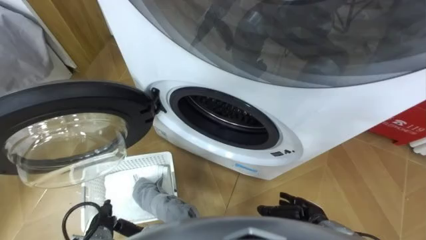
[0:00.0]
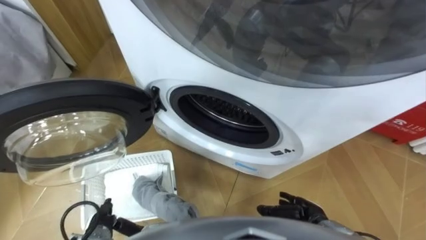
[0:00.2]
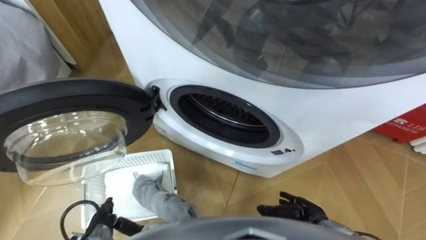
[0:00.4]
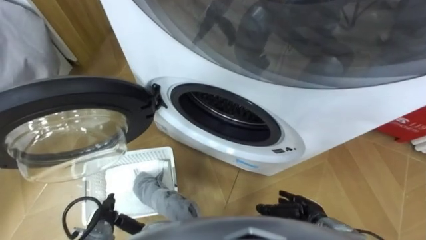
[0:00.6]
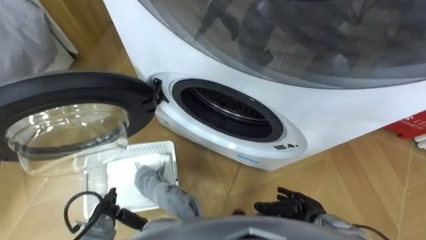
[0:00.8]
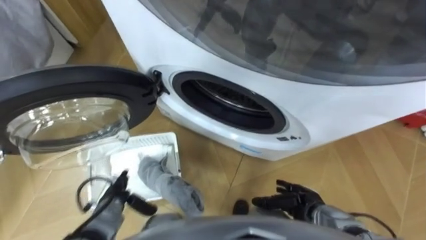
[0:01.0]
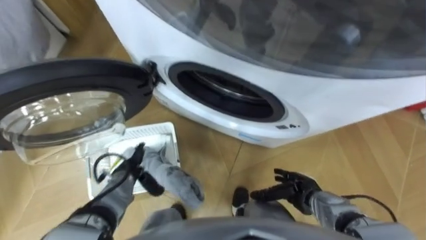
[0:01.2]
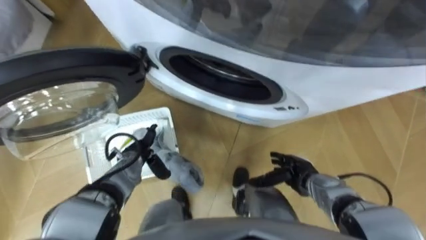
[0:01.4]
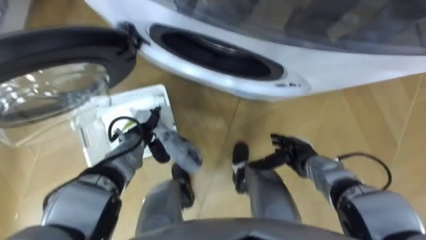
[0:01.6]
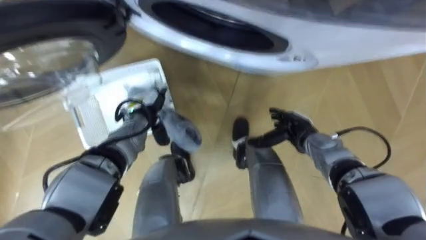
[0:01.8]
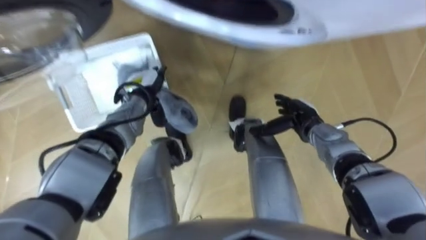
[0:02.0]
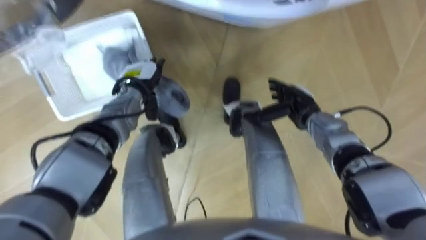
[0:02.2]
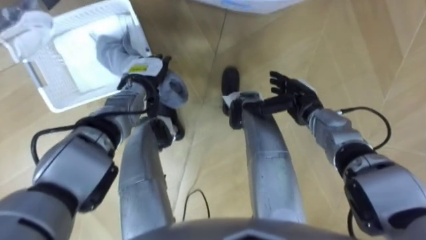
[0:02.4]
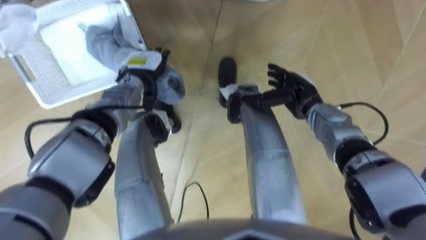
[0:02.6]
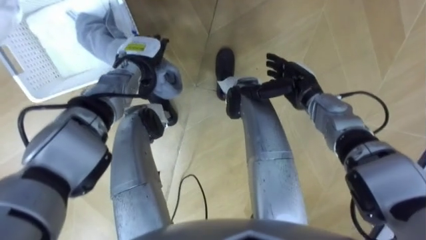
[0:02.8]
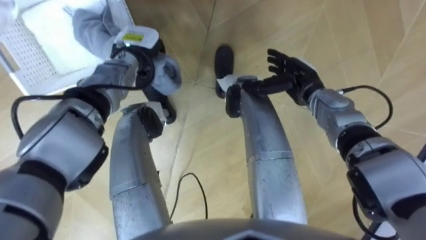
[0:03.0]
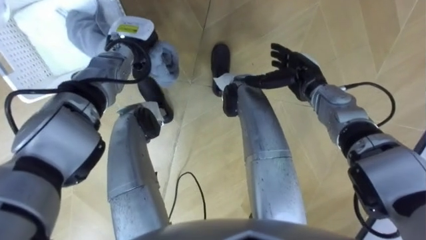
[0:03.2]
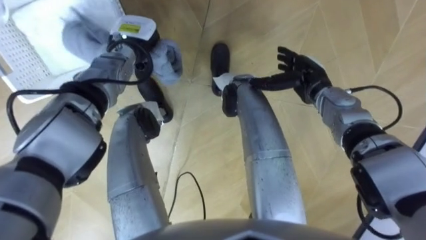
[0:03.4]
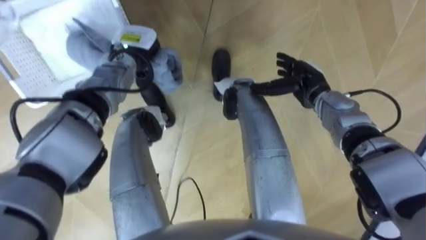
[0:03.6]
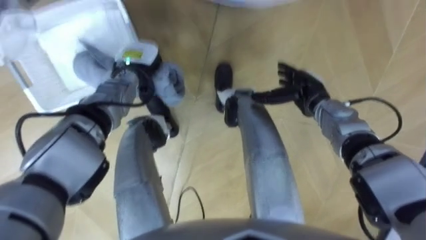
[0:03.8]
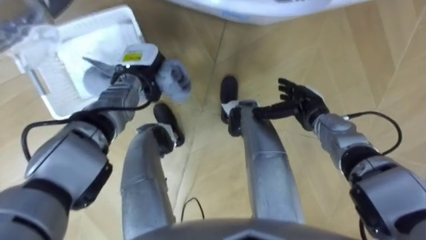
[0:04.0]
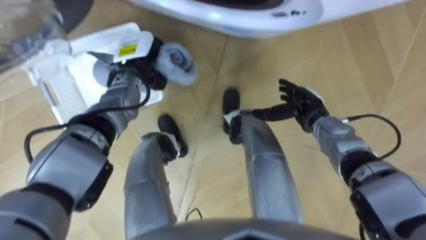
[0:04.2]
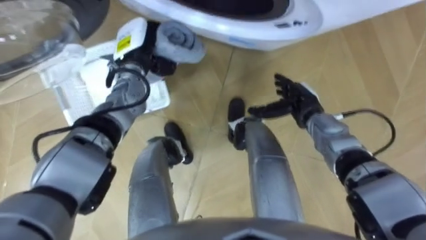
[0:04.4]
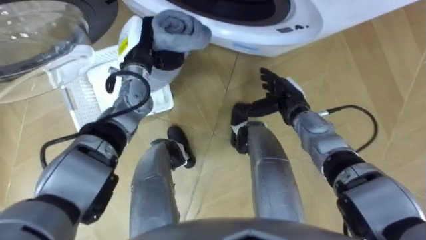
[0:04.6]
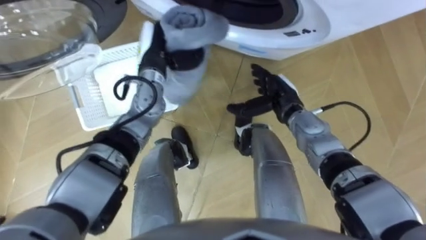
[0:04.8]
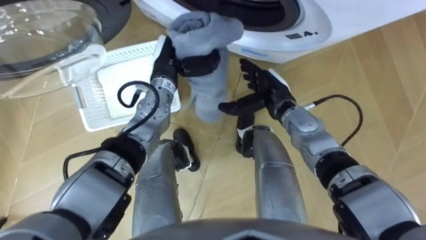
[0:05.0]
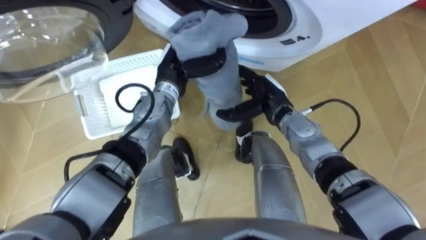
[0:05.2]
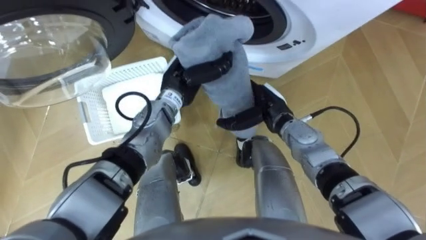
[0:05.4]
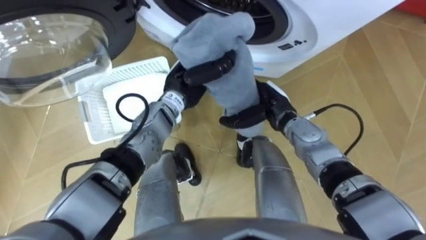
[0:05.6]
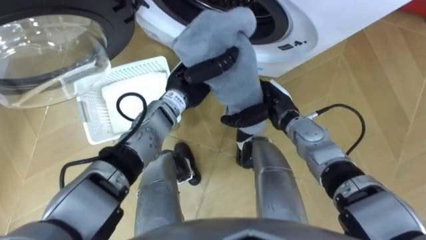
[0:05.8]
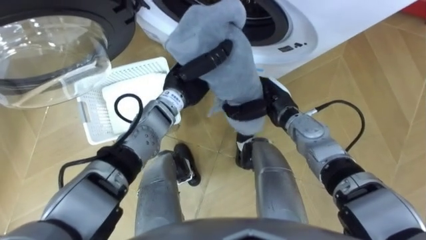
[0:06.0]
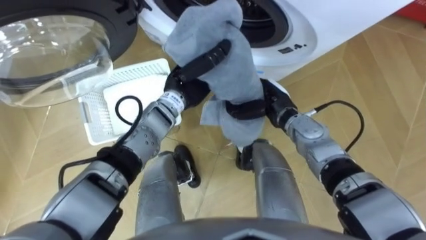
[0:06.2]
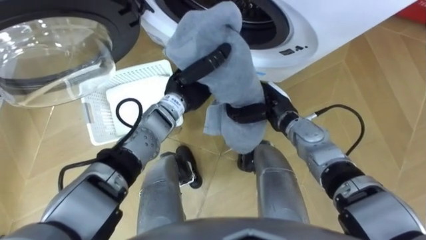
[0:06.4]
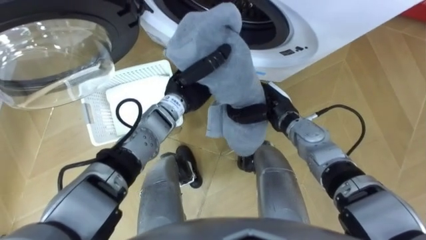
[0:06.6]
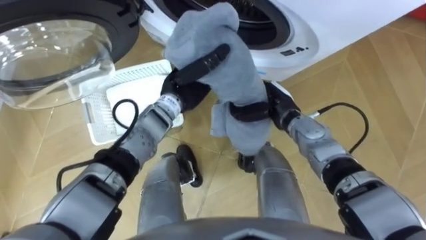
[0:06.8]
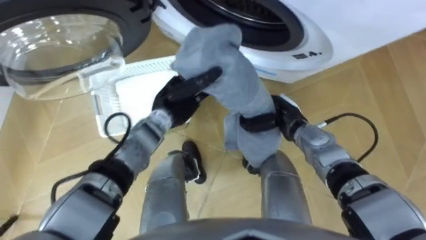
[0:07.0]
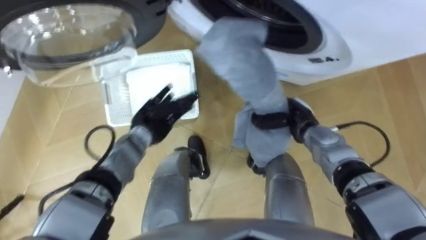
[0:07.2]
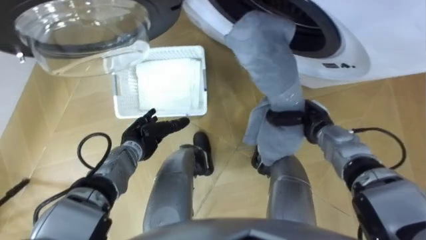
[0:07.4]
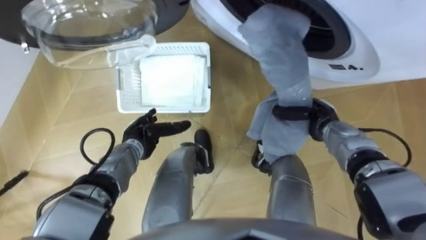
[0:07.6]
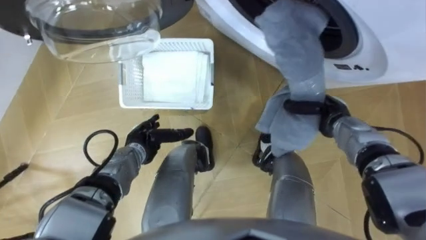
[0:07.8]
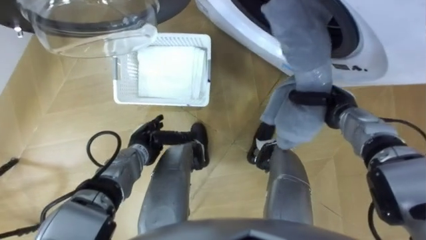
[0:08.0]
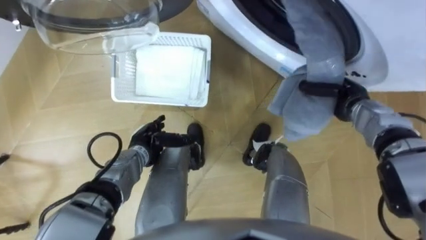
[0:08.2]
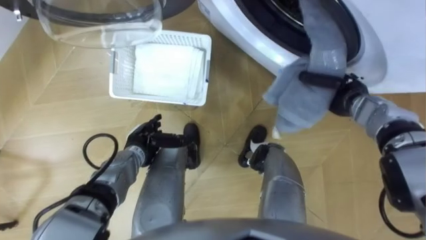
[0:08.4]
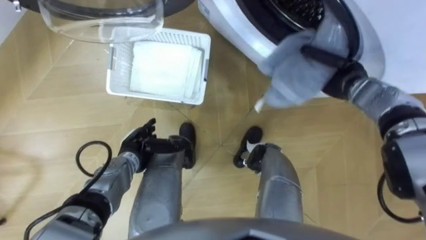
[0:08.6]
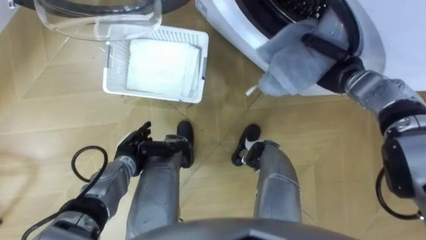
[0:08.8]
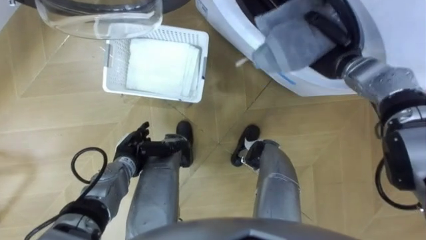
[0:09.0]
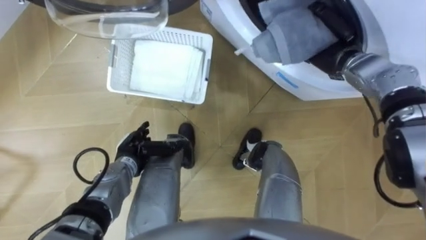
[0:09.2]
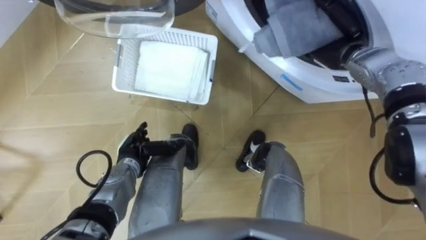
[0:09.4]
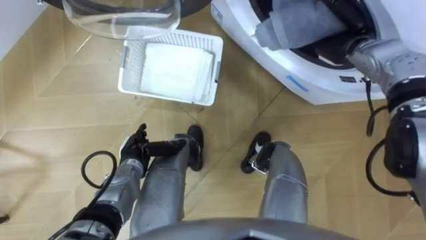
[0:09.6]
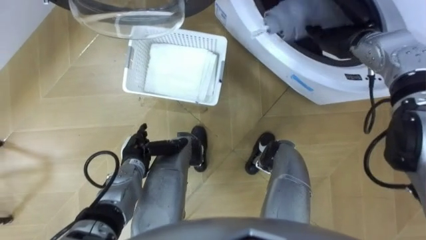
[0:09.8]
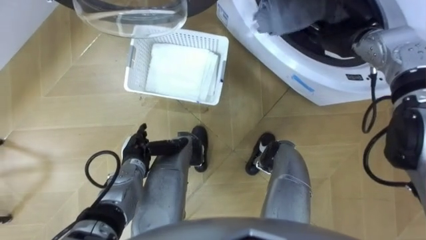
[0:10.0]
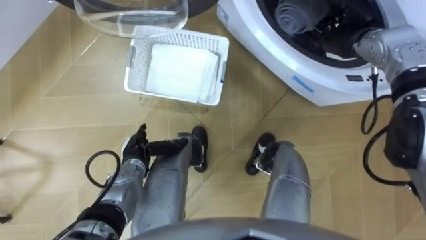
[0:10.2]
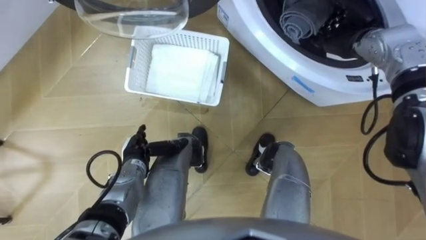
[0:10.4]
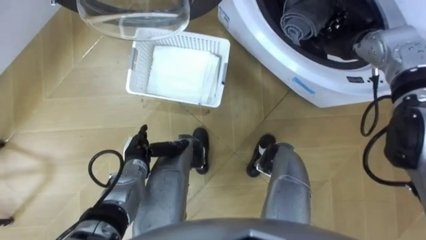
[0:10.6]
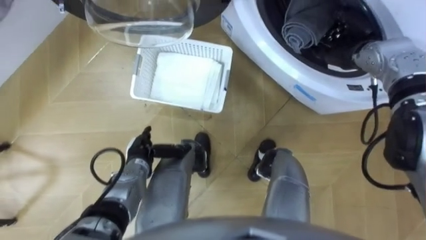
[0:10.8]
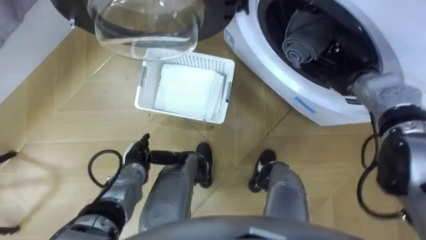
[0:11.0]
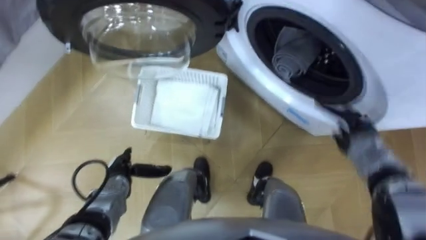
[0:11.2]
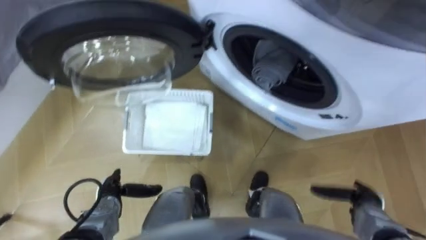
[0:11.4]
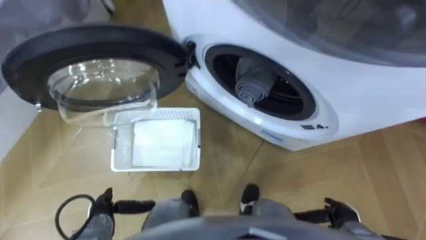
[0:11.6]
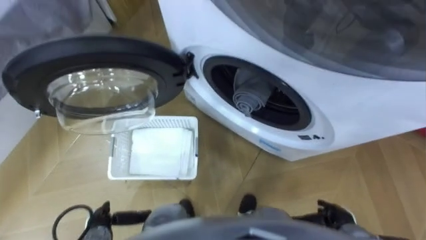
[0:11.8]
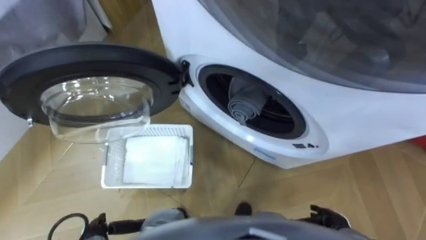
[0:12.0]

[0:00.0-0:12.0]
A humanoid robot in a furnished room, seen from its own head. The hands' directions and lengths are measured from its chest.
Task of the whole recording: Take the towel from the basket and put it into the washing machine.
0:01.6 to 0:03.0: Both hands move forward and upward, about 20 cm.
0:03.0 to 0:04.4: The right hand shifts by about 5 cm.
0:04.4 to 0:06.0: The right hand is displaced to the left by roughly 5 cm. The left hand goes approximately 10 cm to the right and backward.
0:06.0 to 0:07.6: The left hand heads downward, to the left and backward, covering about 20 cm, and opens up; the right hand heads to the right, covering roughly 10 cm.
0:07.6 to 0:09.0: The right hand moves upward and forward, roughly 15 cm.
0:09.0 to 0:10.4: The right hand opens its fingers.
0:10.4 to 0:12.0: The left hand is displaced backward and to the left by about 20 cm. Meanwhile the right hand moves backward and downward, approximately 40 cm.

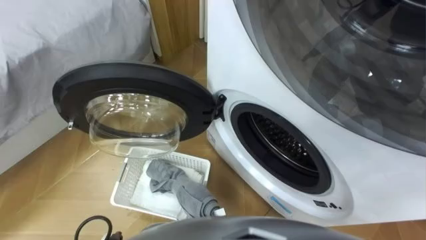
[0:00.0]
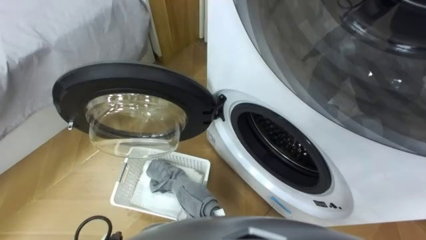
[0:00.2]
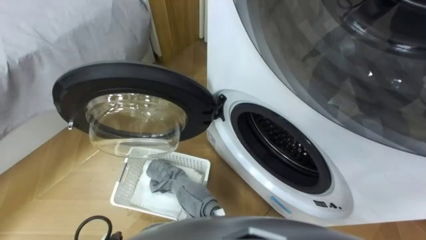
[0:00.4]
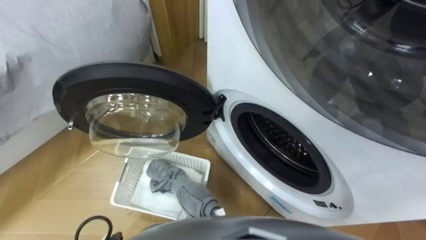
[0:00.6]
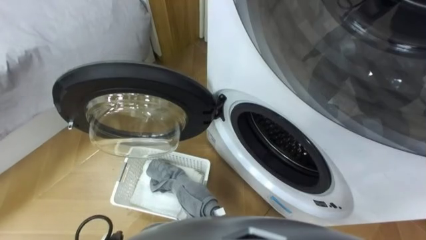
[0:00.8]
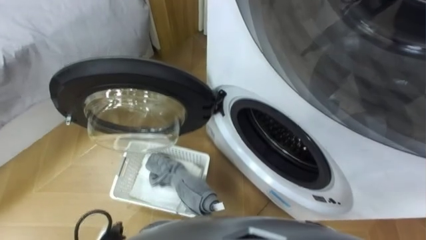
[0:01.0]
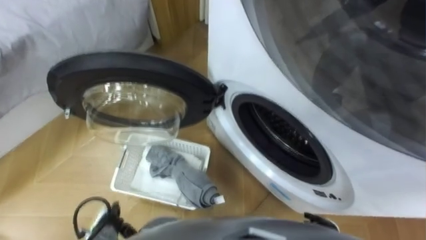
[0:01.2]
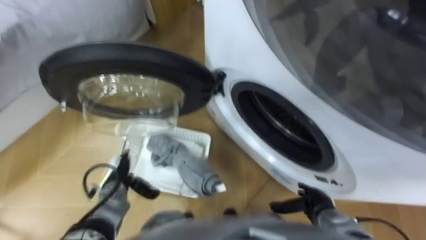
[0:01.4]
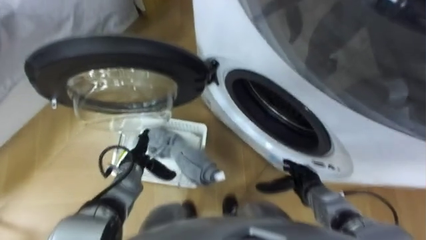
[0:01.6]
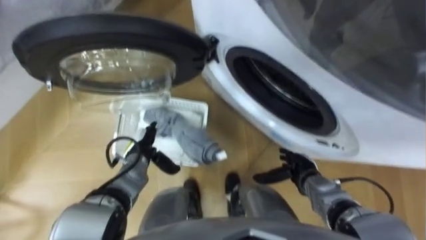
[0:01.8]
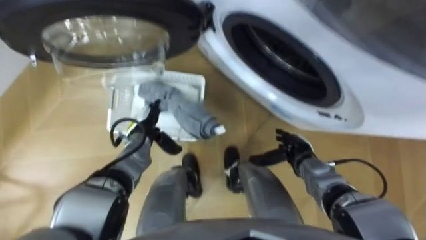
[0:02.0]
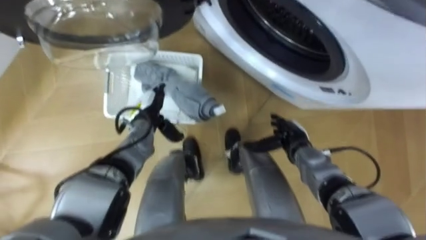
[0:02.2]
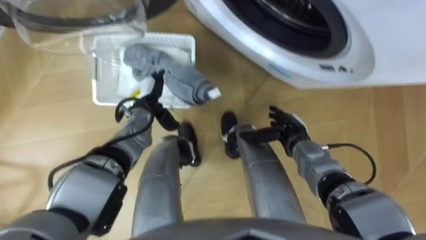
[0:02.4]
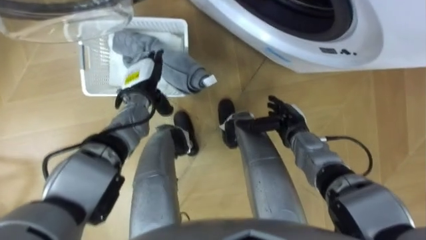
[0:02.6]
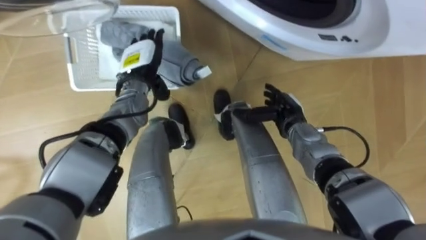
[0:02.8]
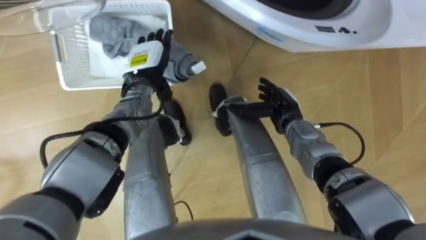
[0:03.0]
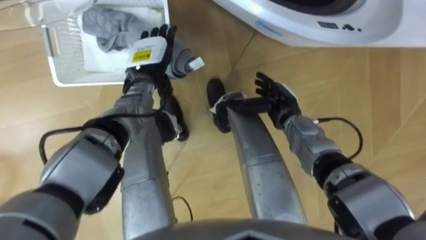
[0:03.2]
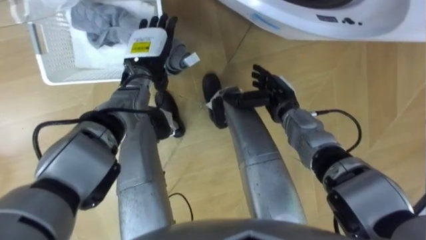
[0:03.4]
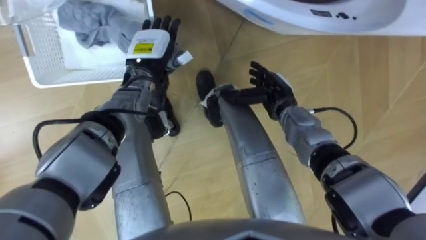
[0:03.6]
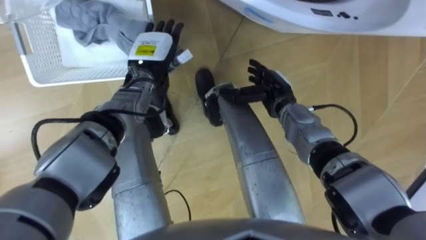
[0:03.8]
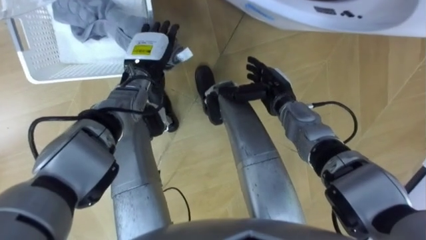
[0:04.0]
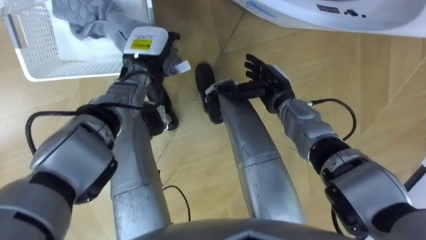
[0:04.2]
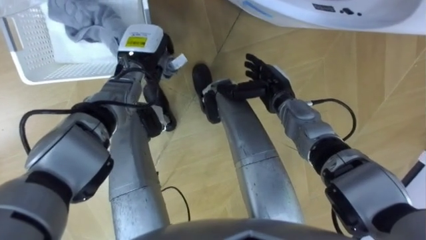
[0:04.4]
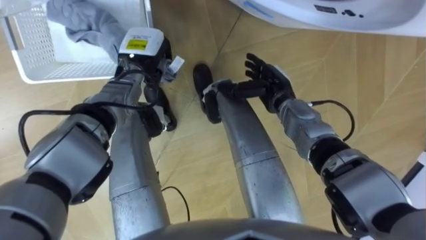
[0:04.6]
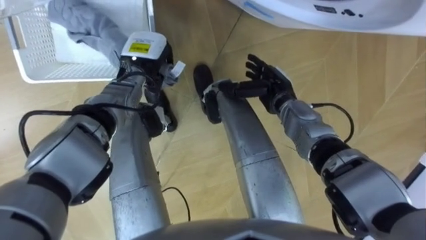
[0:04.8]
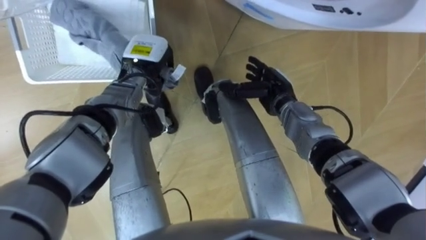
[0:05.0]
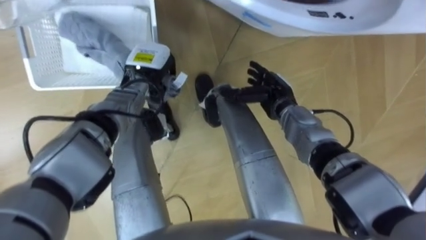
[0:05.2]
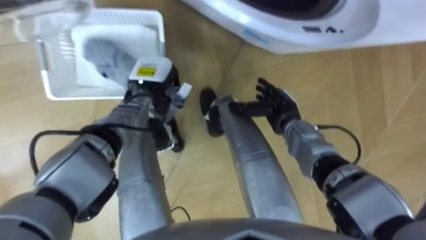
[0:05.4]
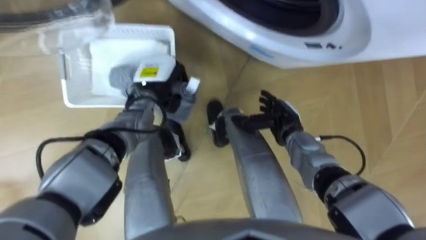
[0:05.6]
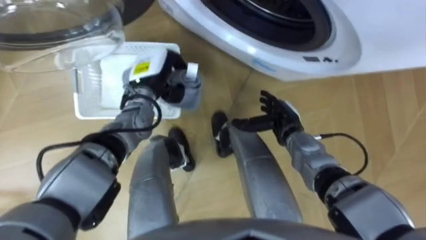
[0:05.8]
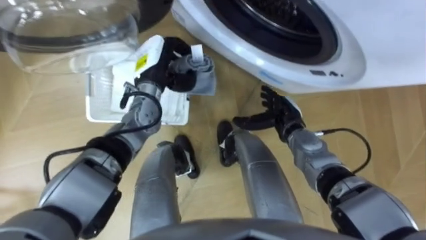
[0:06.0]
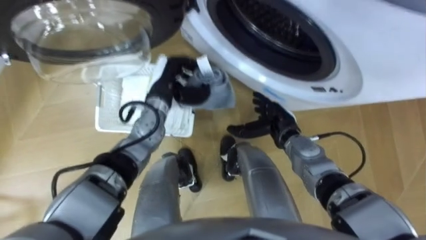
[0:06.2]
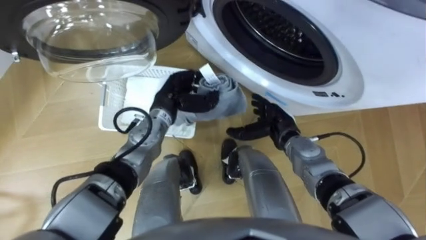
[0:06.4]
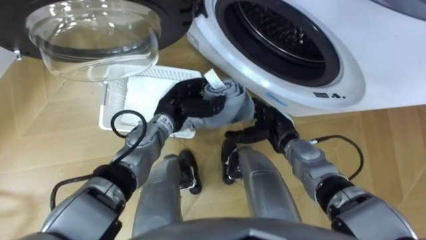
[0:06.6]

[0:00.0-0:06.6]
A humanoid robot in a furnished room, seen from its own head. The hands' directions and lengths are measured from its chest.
Task of the whole recording: Take the towel from the basket and put it into the washing machine.
0:01.6 to 0:03.2: The right hand is displaced forward, upward and to the left by some 20 cm, while the left hand travels forward and upward by approximately 25 cm.
0:03.2 to 0:05.0: The left hand closes up.
0:05.0 to 0:06.6: The right hand shifts some 10 cm backward and downward. The left hand is displaced backward and to the right by about 10 cm.
